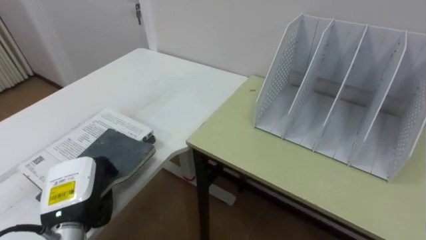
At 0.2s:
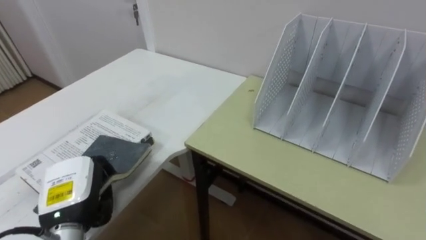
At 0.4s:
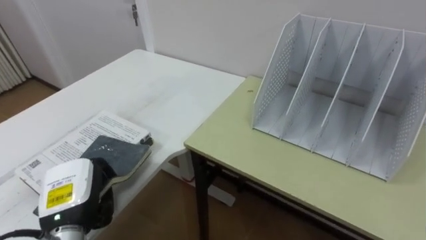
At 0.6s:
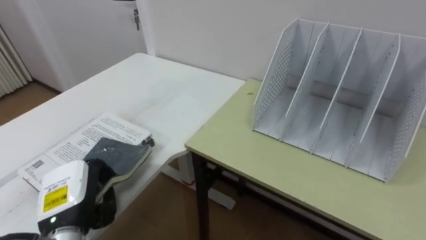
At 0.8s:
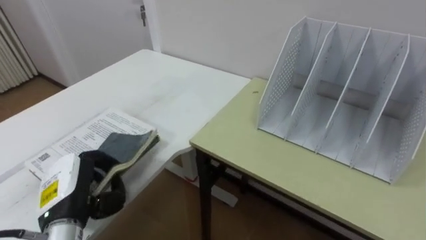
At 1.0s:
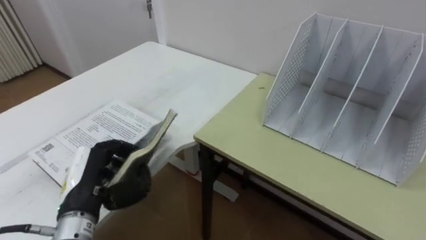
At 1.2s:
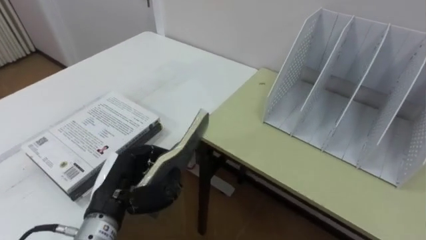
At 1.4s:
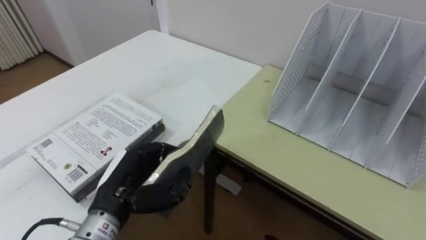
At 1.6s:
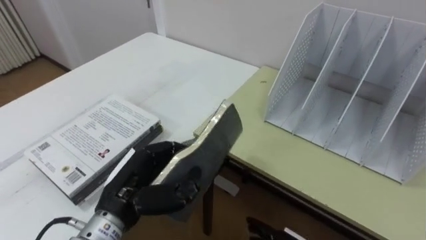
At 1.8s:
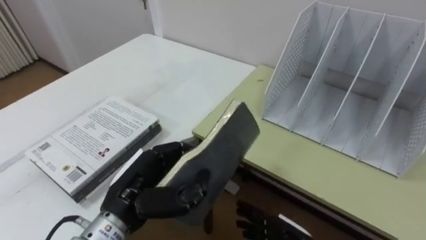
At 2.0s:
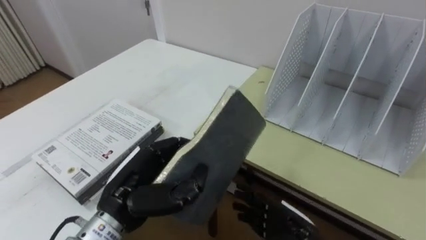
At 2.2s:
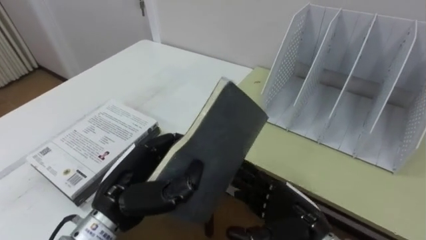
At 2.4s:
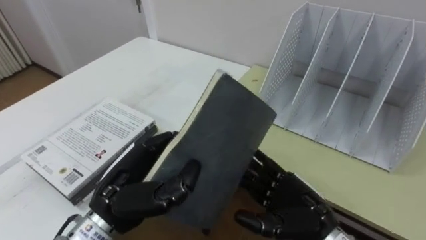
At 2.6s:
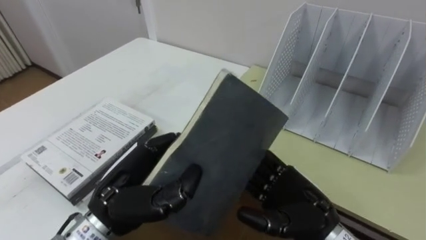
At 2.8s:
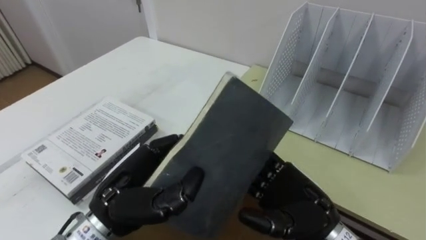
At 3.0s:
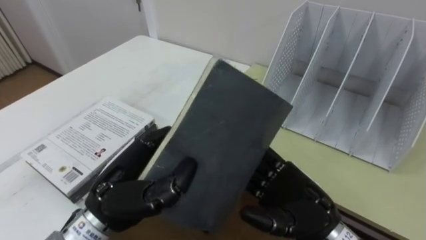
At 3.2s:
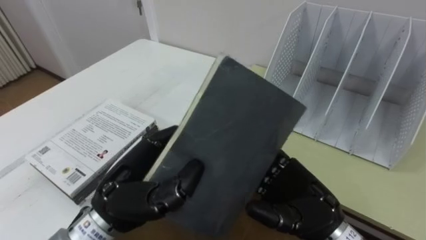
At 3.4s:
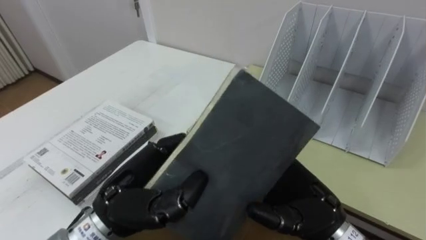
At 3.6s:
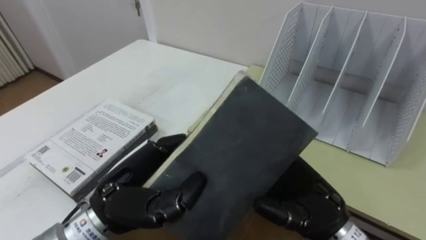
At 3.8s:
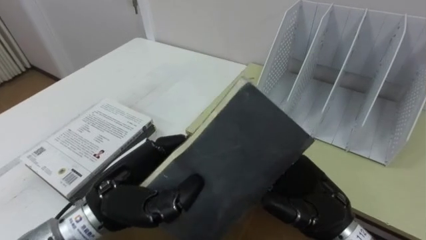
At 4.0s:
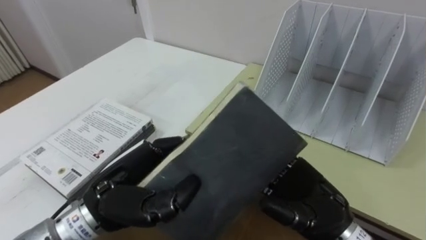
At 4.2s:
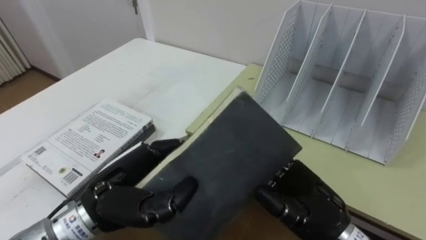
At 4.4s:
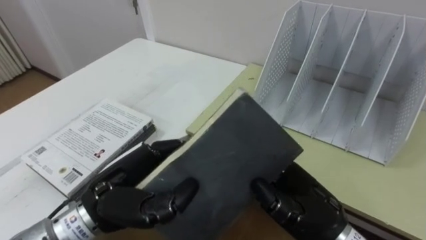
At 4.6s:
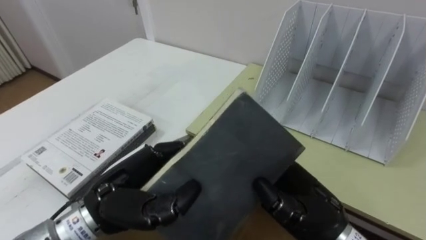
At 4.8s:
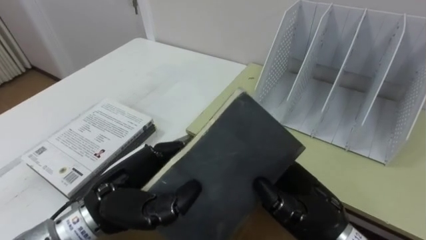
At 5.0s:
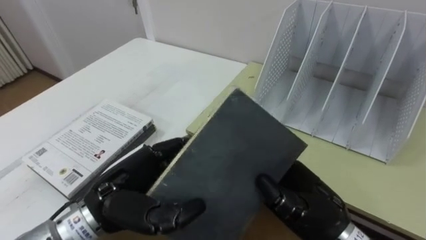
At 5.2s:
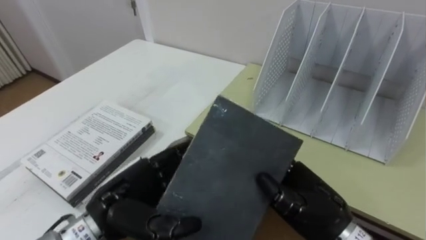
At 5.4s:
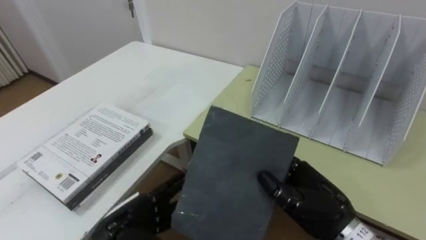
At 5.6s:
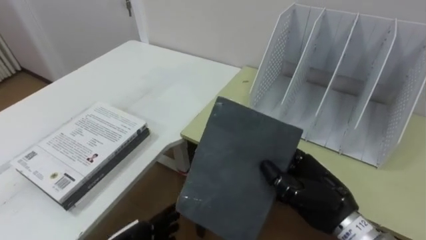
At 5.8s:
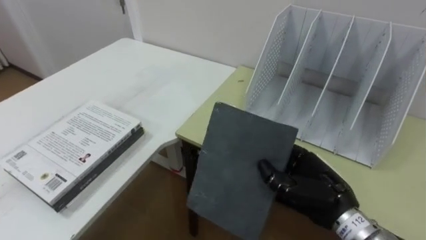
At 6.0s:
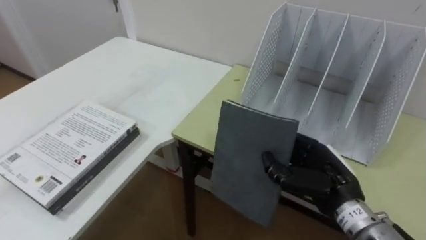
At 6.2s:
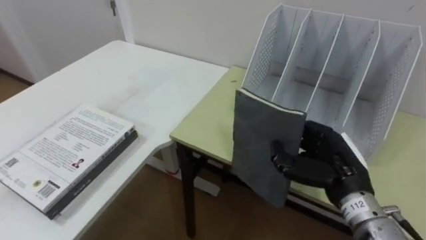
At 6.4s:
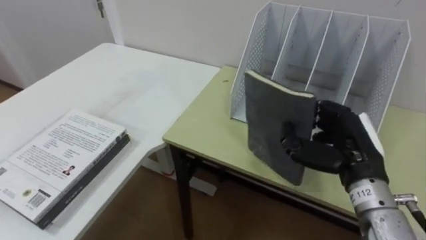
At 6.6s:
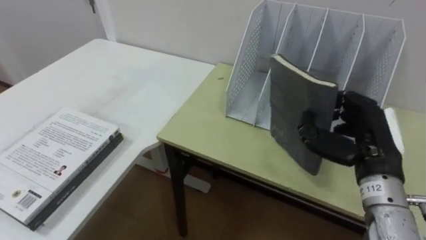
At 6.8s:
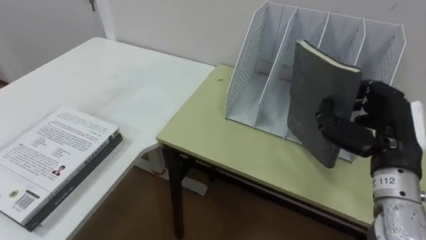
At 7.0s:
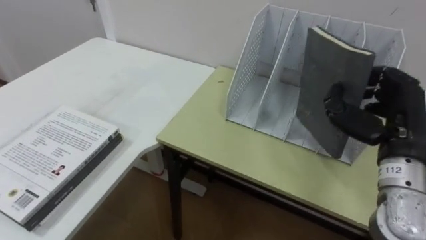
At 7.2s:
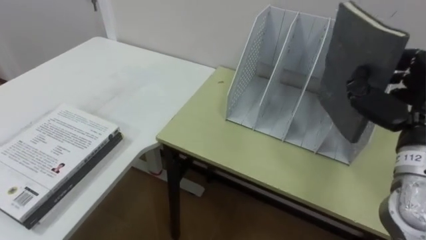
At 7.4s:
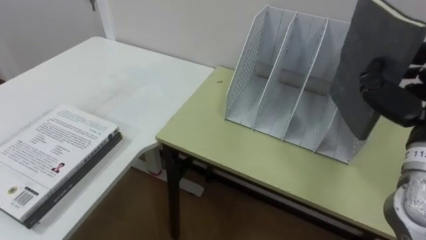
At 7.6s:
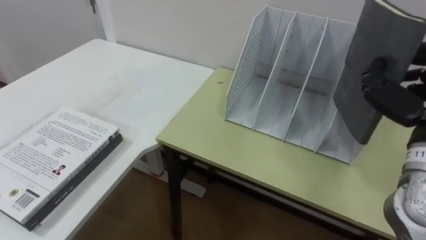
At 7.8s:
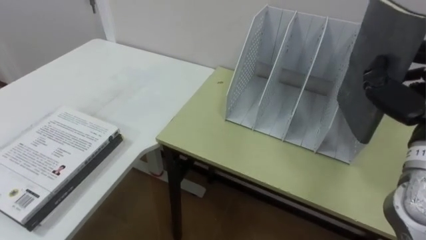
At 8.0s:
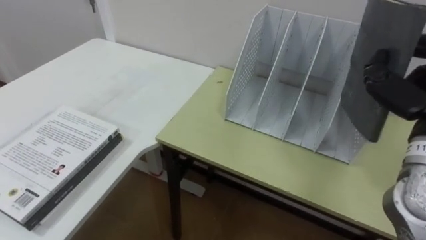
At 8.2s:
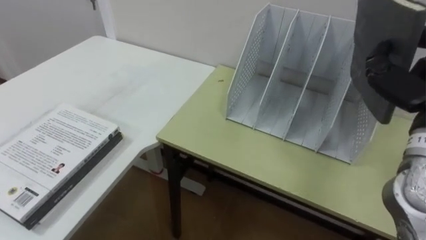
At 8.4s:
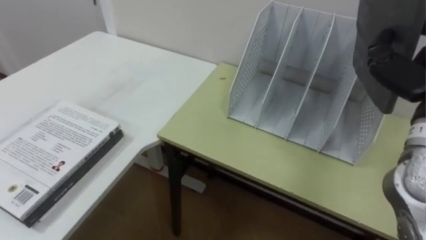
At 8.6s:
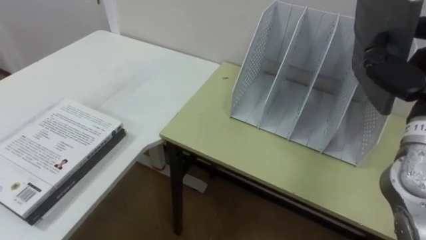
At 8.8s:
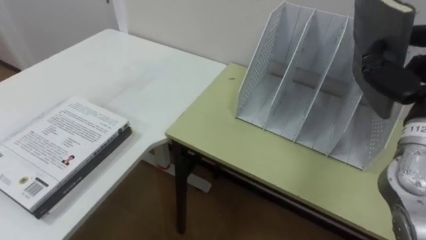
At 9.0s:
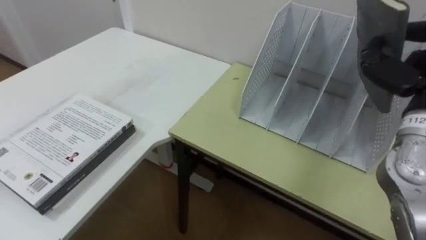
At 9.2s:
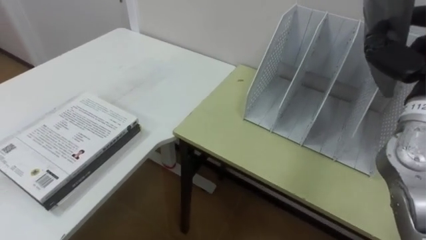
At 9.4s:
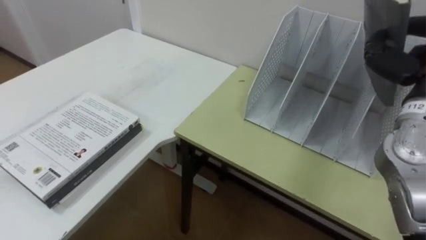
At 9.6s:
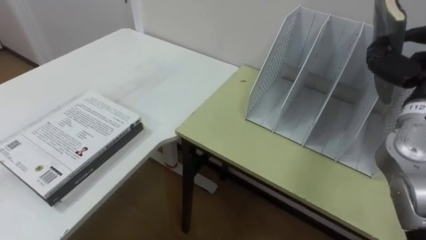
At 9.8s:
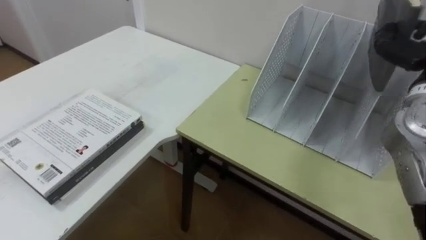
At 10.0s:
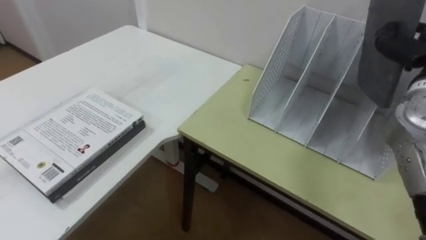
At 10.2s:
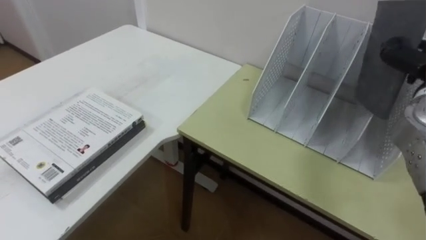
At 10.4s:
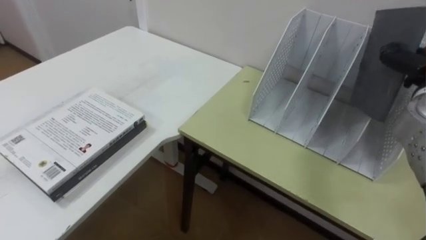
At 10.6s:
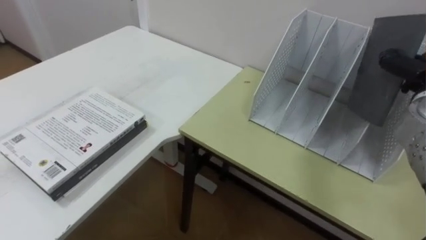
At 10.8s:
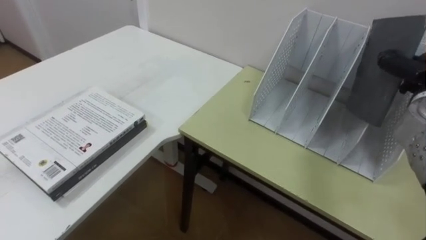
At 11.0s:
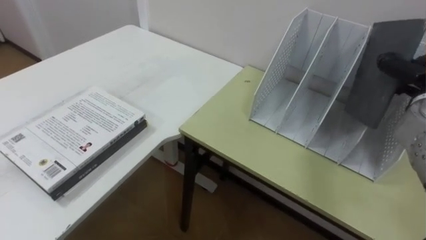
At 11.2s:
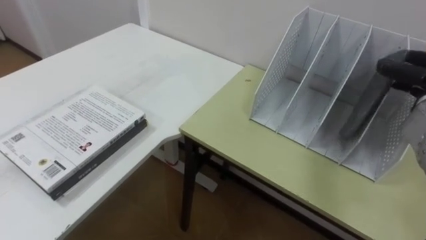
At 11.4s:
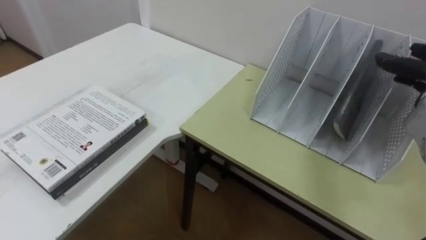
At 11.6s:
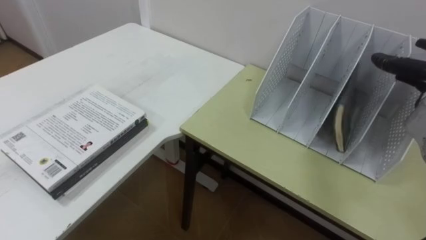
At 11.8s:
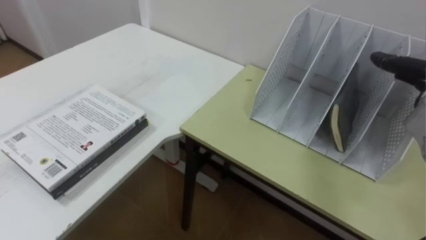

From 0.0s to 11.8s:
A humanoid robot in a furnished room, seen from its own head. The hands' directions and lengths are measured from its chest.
Task of the whole recording: Put the books on the table onto the bookshelf.
From 0.0s to 1.4s: The left hand shifts approximately 5 cm to the right.
From 1.4s to 3.0s: The left hand goes approximately 5 cm upward.
From 3.0s to 4.4s: The right hand closes up.
From 4.4s to 6.0s: The right hand moves about 5 cm.
From 6.0s to 7.4s: The right hand goes some 20 cm upward and to the right.

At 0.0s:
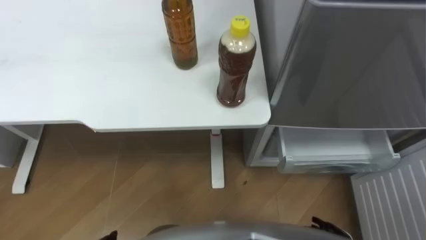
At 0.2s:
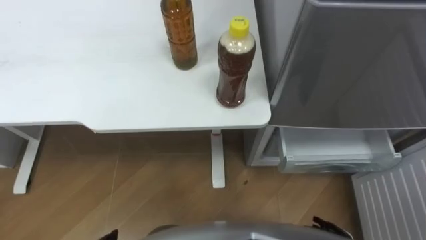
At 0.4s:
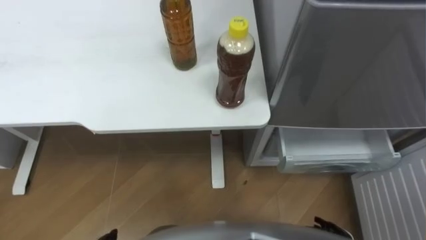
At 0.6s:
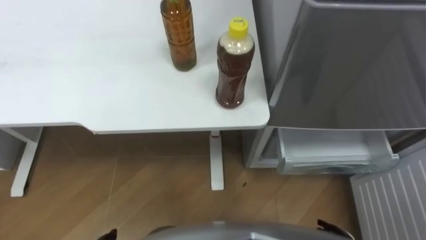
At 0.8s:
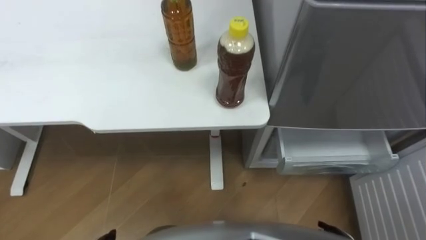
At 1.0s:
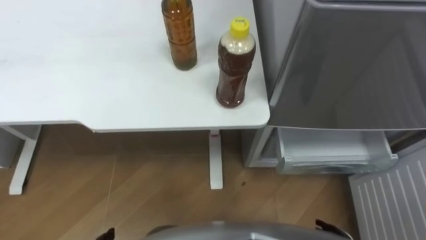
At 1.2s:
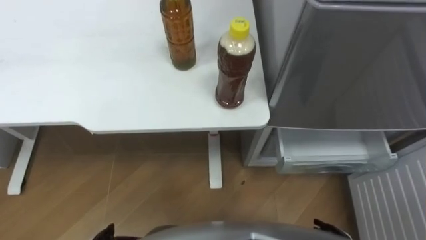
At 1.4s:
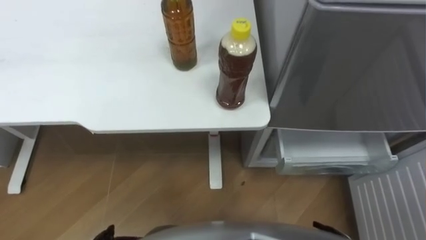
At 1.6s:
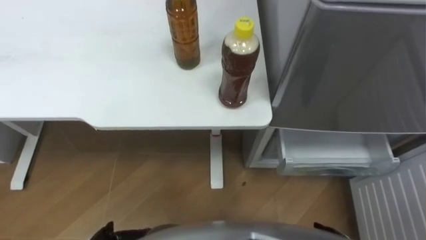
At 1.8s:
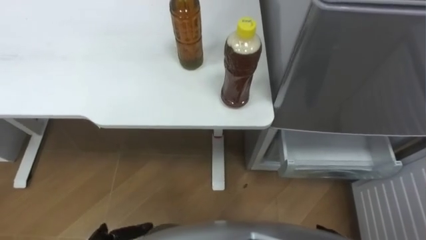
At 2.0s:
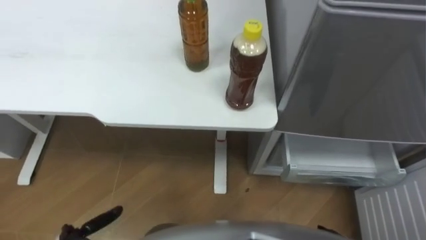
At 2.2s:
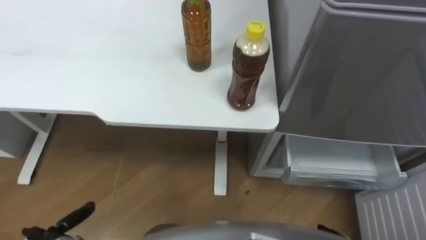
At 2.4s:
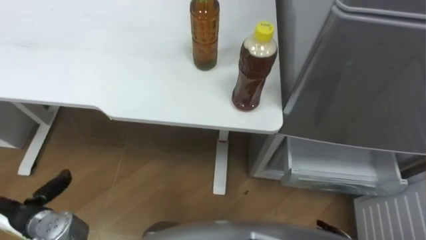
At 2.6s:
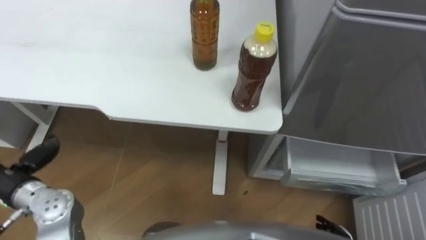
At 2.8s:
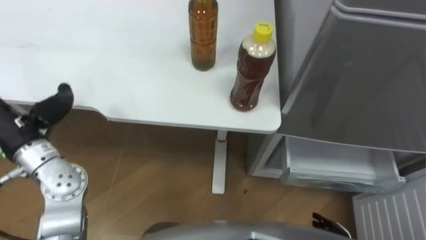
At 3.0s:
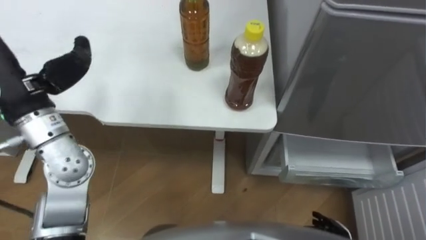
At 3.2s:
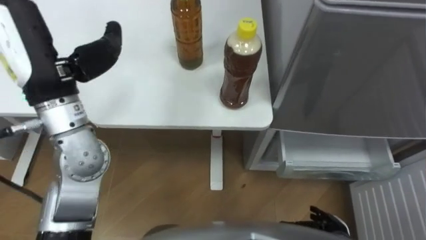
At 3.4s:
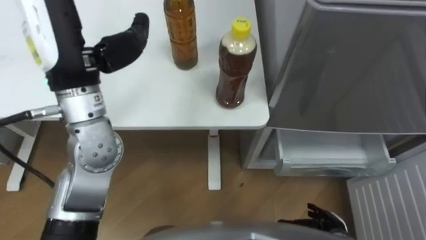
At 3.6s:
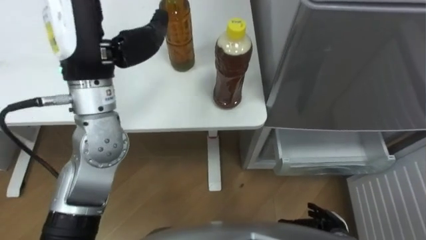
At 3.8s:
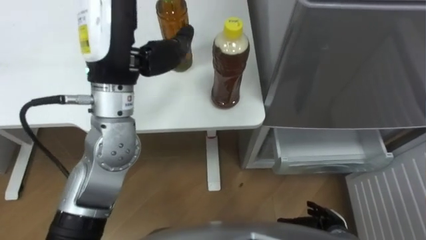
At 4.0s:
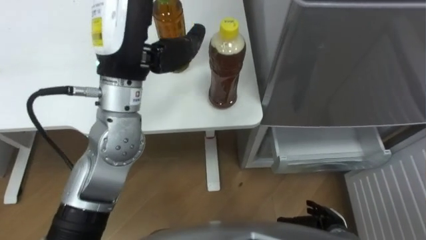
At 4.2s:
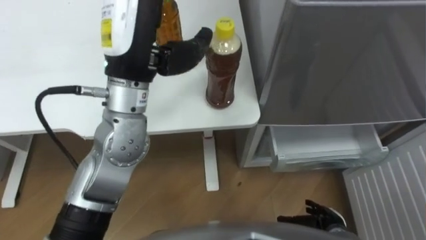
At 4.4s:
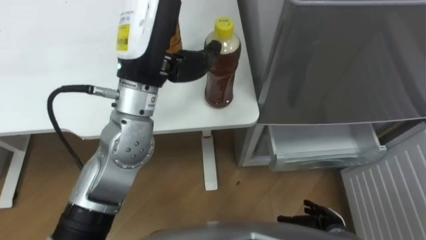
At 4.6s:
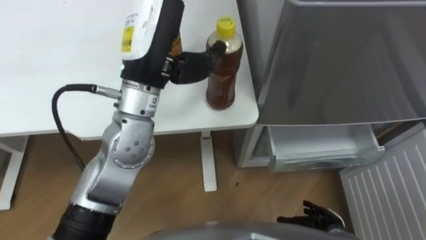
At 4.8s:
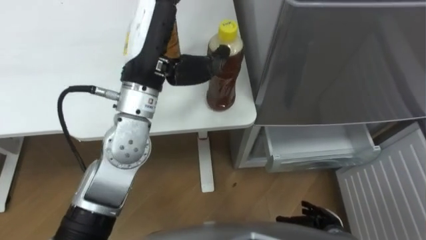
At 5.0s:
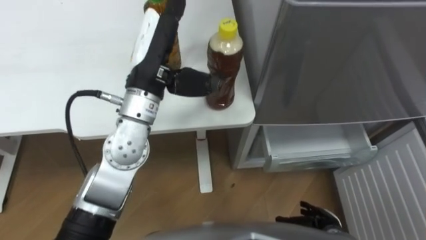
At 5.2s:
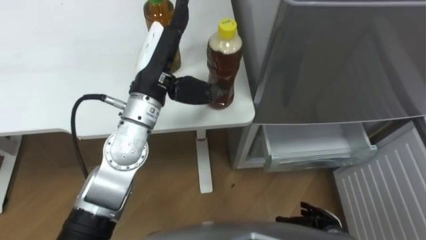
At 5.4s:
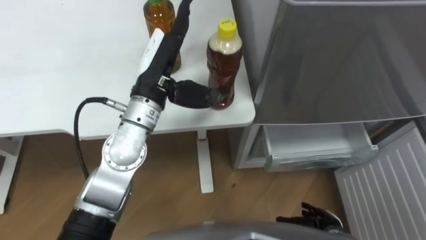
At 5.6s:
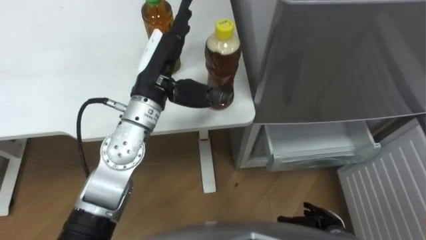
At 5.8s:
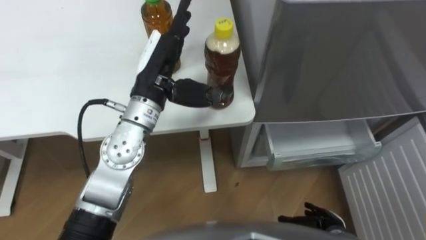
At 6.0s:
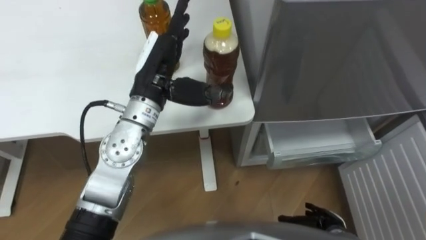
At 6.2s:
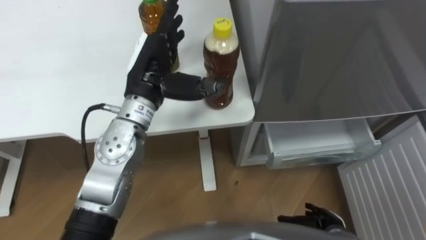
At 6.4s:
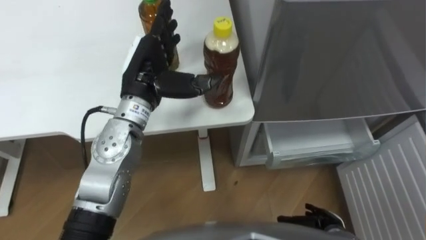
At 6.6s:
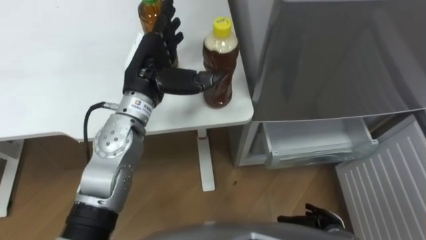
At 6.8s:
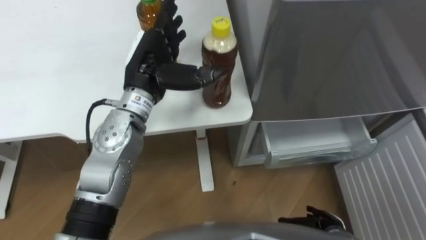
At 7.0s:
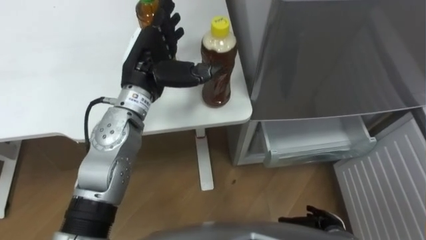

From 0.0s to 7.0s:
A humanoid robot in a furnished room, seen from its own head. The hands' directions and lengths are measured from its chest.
Task of the whole recording: Place the drink on the table on the bottom shelf of the refrigerator, then close the drawer and the refrigerator door.
From 2.8s to 4.2s: The left hand goes approximately 25 cm to the right and upward.
From 4.2s to 5.6s: The left hand is displaced downward by some 10 cm.
